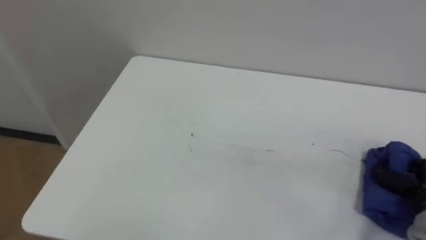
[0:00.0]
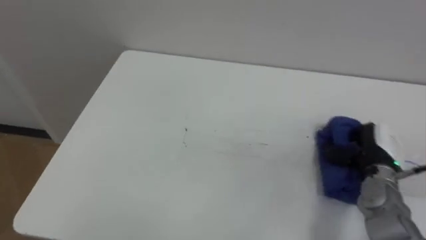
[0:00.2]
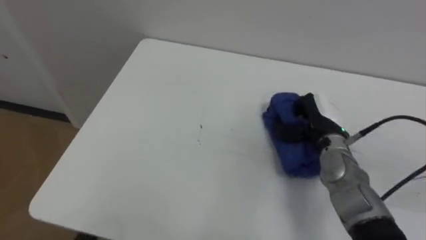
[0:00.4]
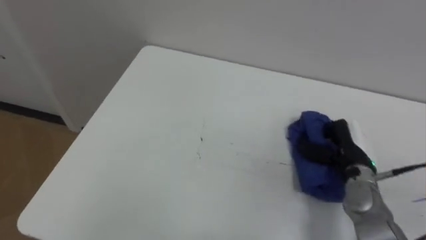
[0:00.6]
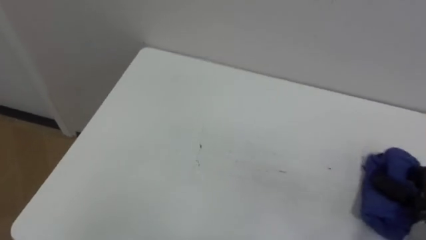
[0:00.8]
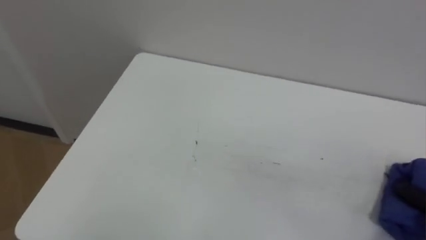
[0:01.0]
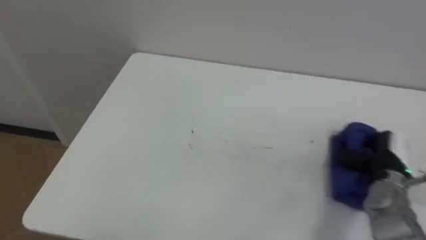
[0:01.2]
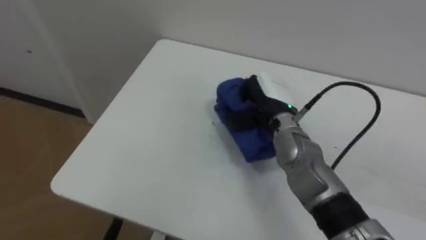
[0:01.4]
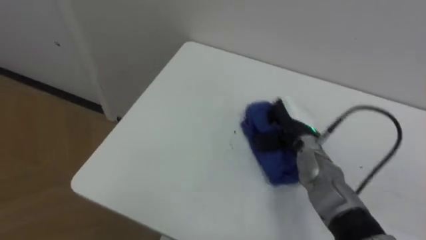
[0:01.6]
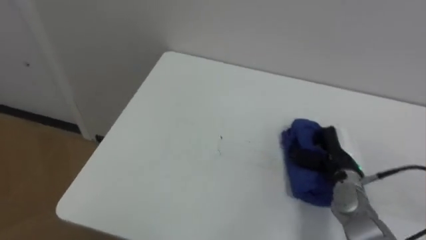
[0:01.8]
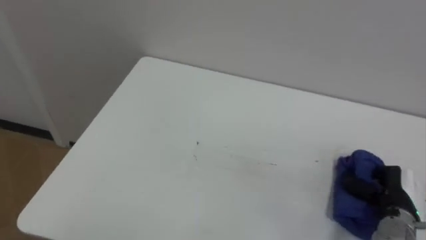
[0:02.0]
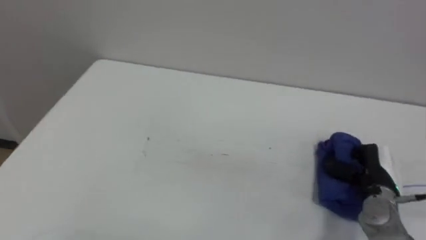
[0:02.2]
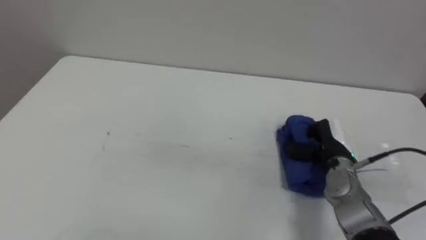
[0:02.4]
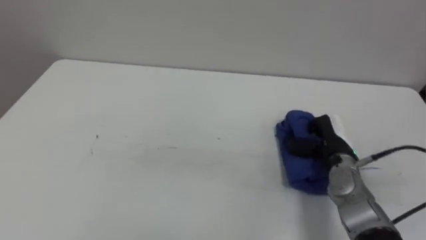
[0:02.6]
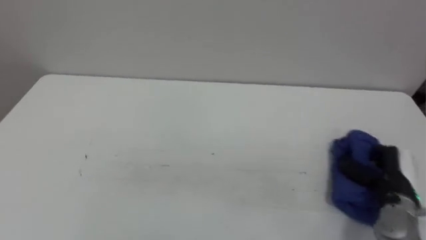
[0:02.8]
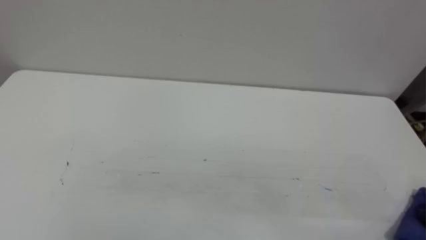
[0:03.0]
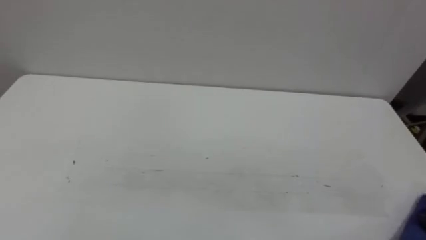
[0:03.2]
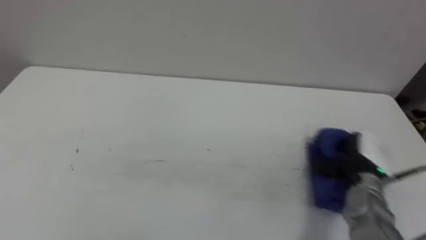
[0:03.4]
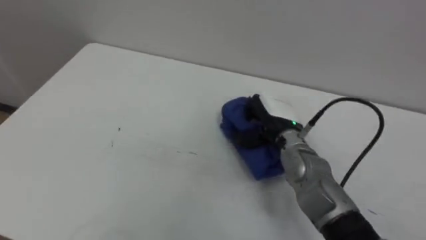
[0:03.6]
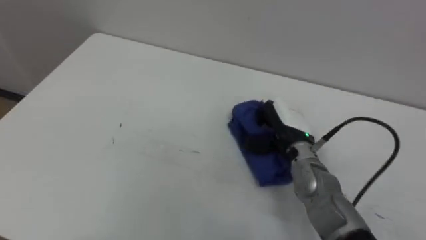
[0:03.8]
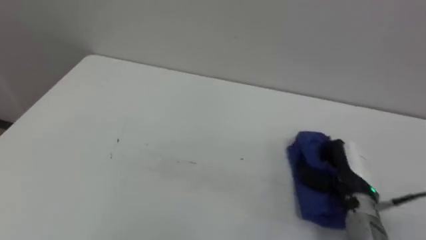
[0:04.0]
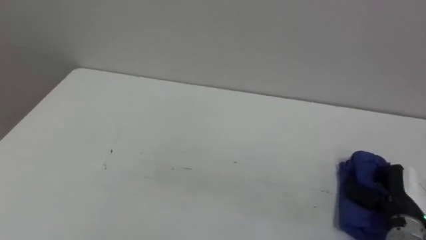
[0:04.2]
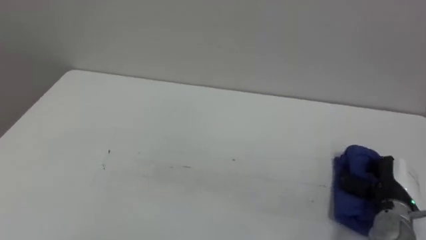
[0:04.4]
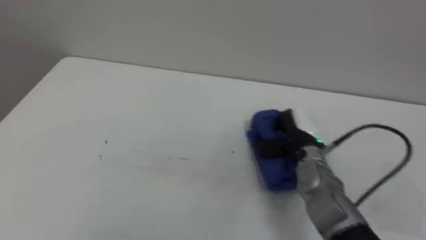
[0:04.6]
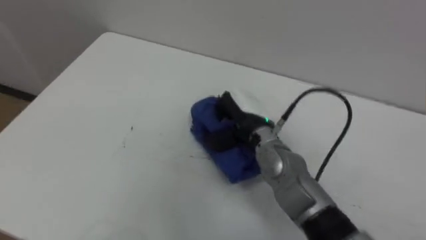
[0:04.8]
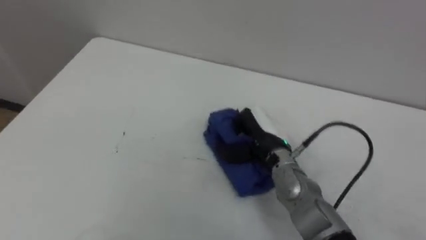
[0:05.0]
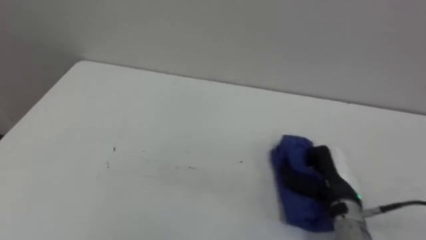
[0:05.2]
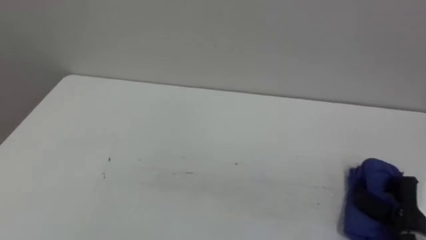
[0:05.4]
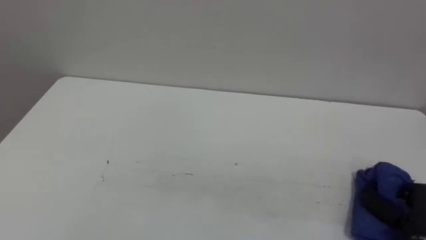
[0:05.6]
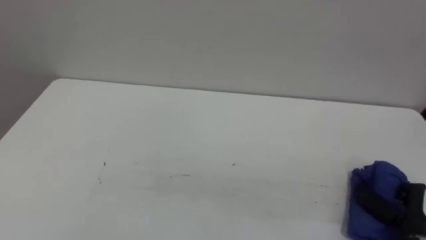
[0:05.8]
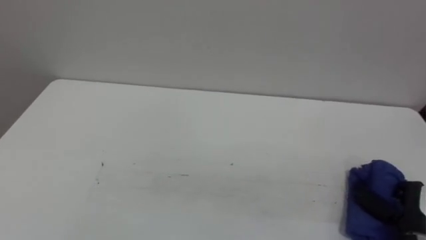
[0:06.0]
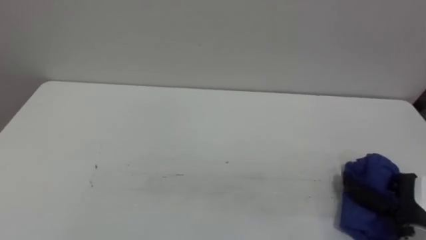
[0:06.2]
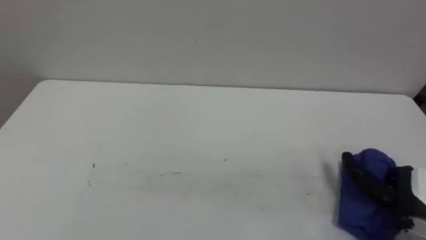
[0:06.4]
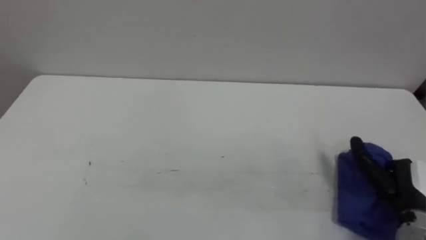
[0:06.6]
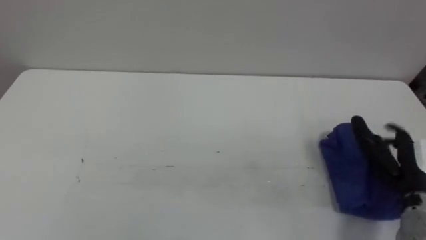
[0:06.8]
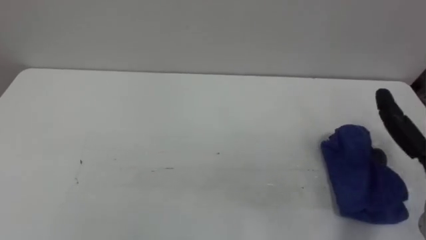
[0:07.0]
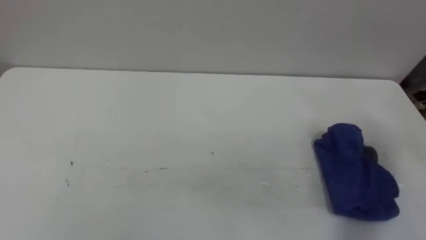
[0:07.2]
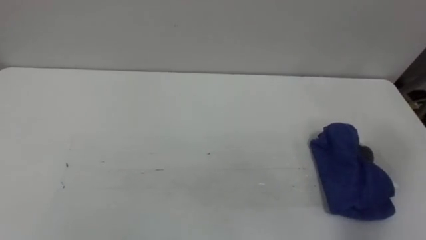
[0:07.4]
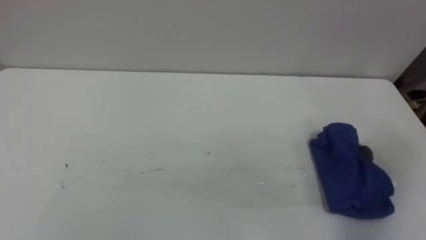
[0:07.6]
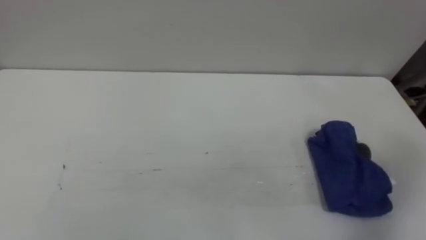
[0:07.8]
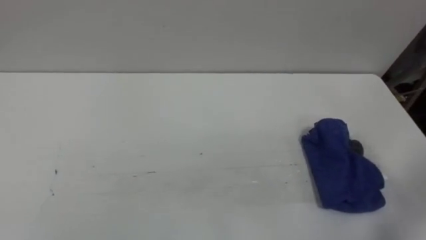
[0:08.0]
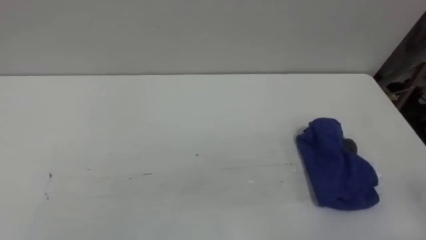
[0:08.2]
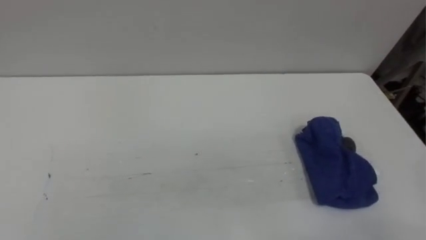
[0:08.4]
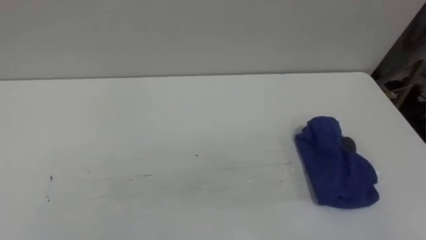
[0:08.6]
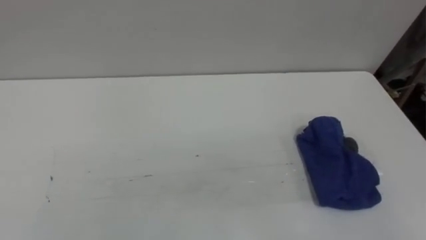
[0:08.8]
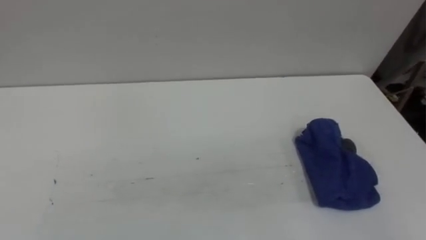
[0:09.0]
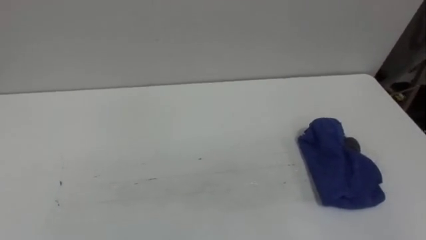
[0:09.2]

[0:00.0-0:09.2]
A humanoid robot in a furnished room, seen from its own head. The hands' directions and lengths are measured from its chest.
Task of the whole recording: Wipe the blue pen marks off the table with the rag.
0:04.6 to 0:06.2: The right hand shifts about 20 cm to the right and backward, and opens up.

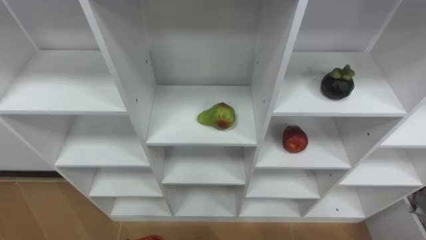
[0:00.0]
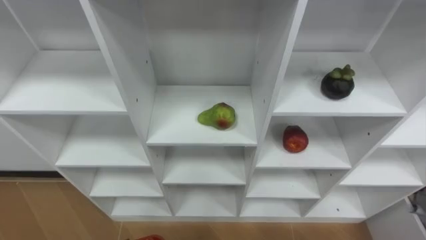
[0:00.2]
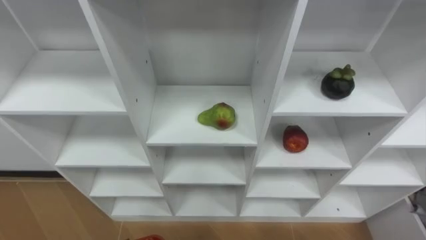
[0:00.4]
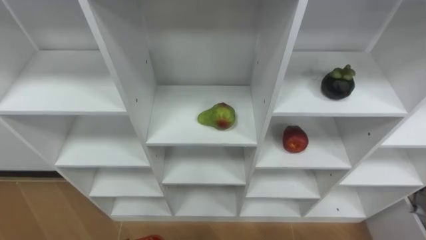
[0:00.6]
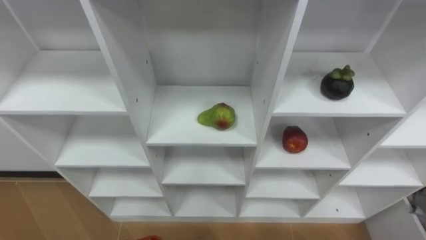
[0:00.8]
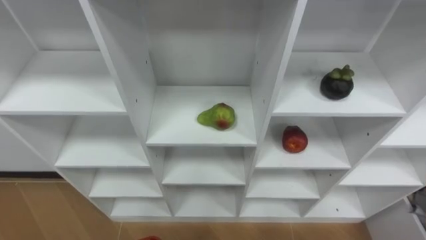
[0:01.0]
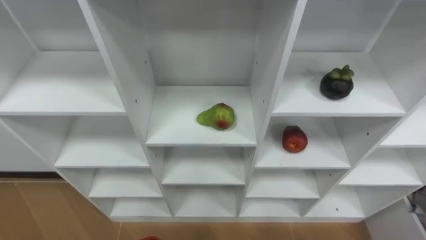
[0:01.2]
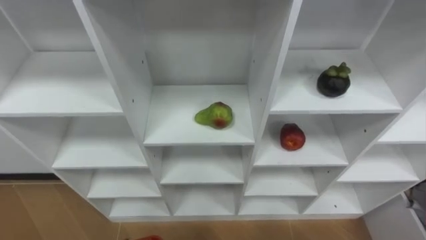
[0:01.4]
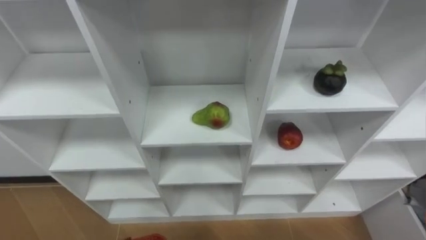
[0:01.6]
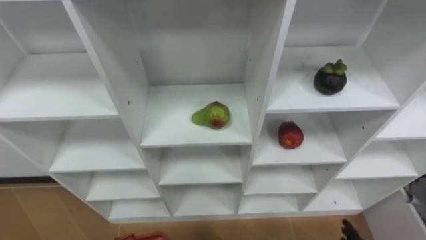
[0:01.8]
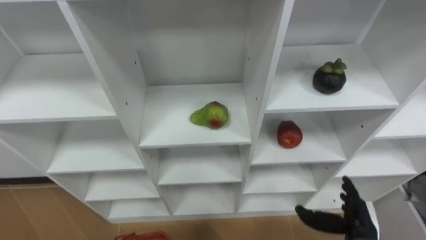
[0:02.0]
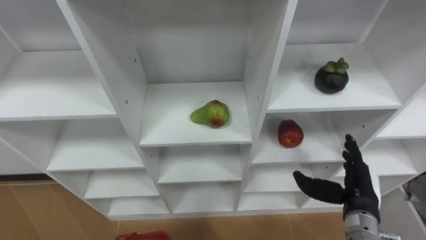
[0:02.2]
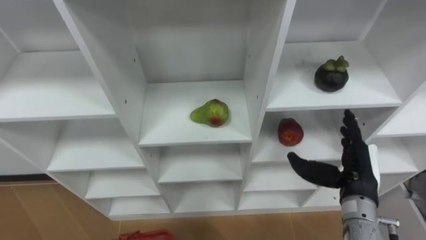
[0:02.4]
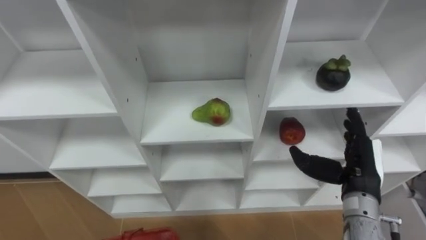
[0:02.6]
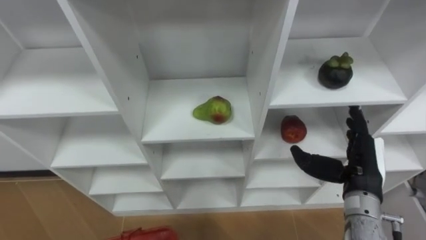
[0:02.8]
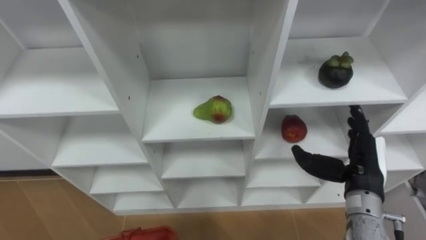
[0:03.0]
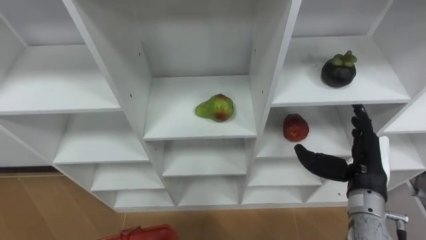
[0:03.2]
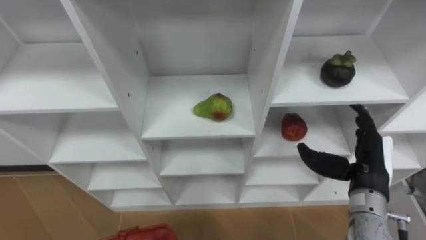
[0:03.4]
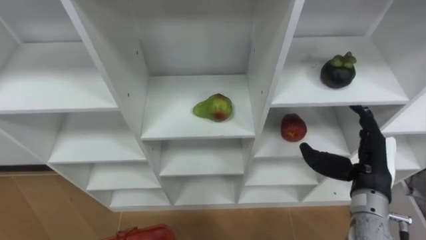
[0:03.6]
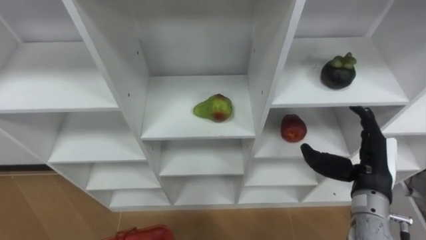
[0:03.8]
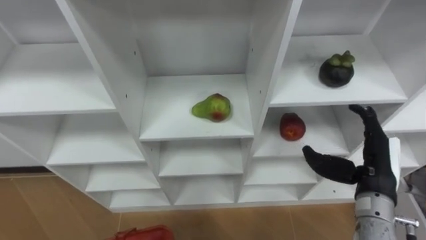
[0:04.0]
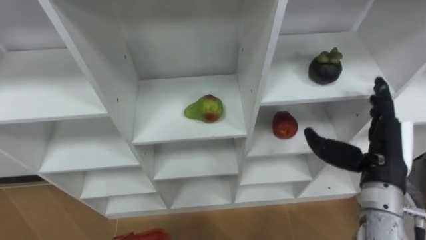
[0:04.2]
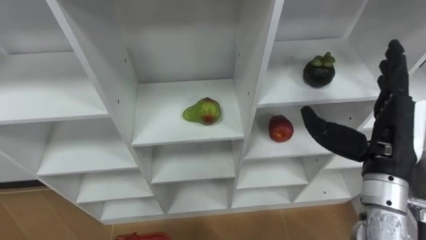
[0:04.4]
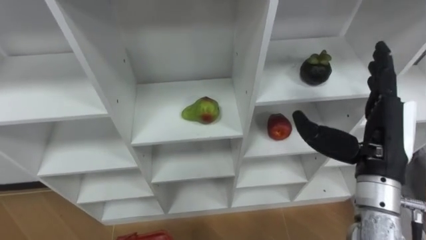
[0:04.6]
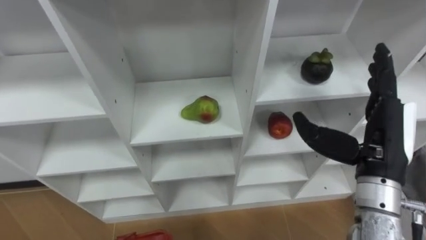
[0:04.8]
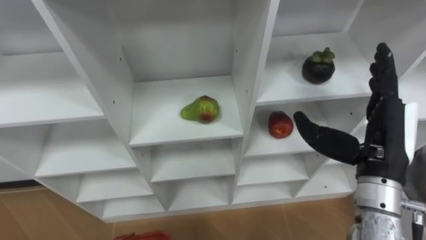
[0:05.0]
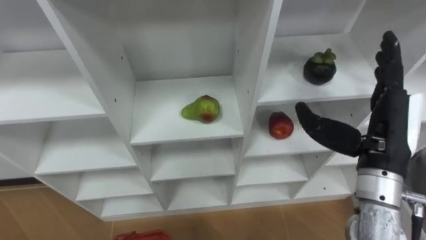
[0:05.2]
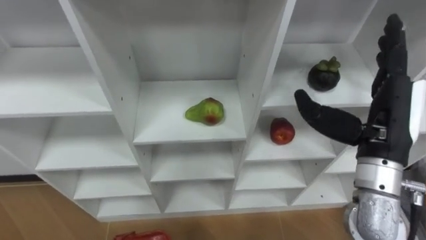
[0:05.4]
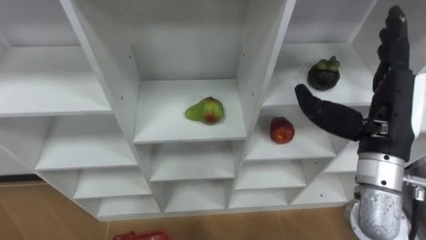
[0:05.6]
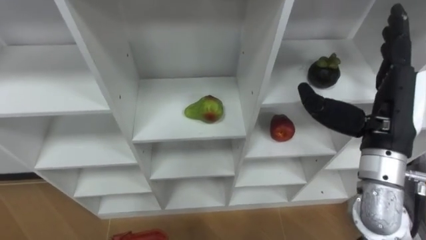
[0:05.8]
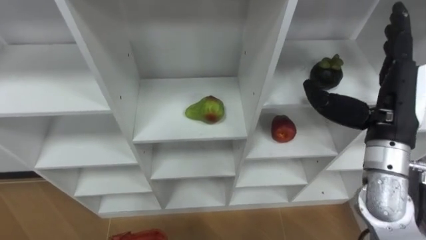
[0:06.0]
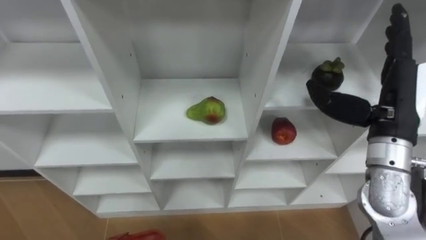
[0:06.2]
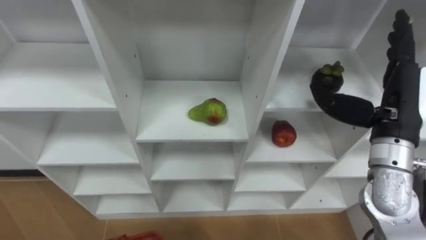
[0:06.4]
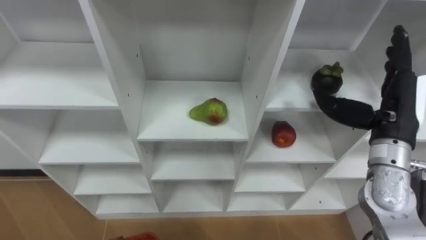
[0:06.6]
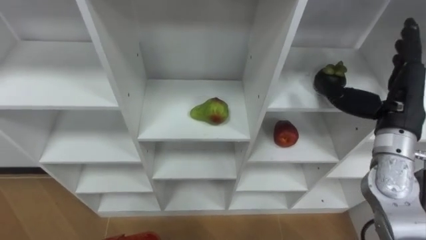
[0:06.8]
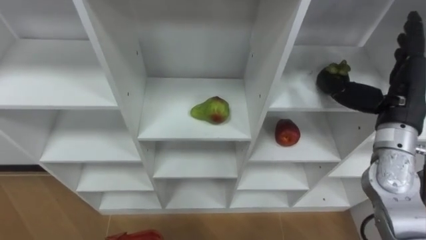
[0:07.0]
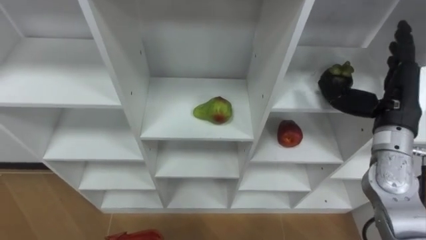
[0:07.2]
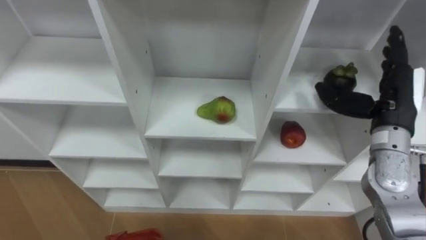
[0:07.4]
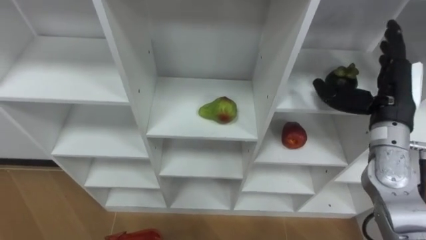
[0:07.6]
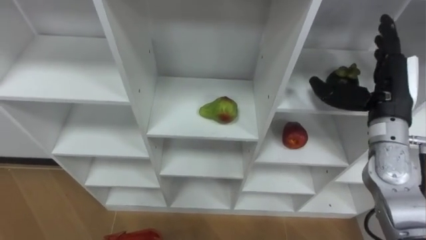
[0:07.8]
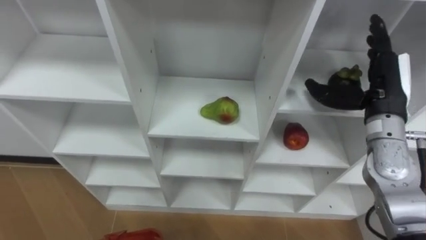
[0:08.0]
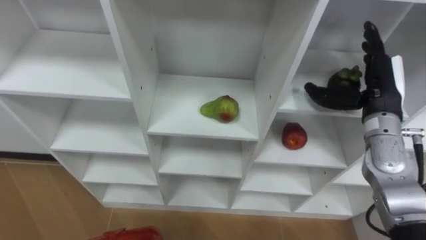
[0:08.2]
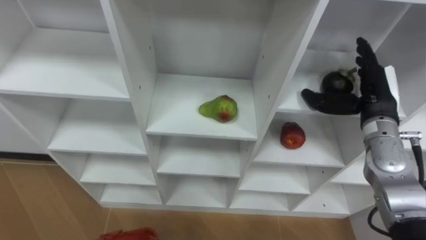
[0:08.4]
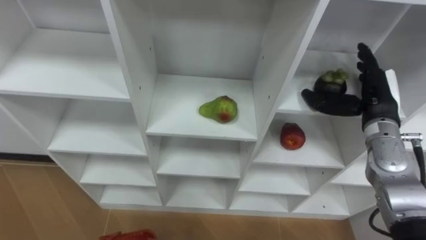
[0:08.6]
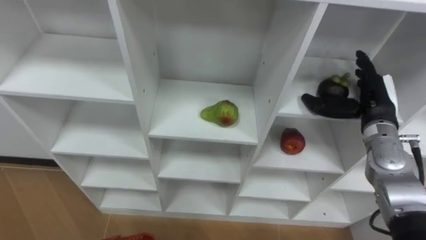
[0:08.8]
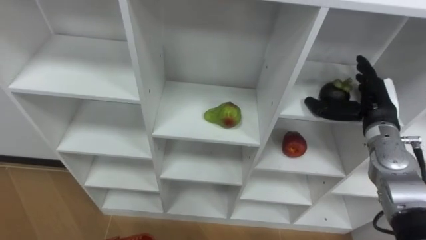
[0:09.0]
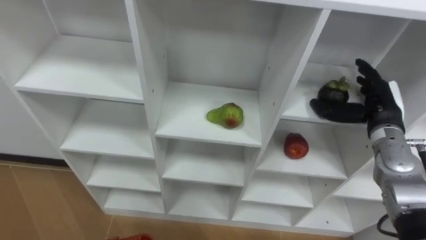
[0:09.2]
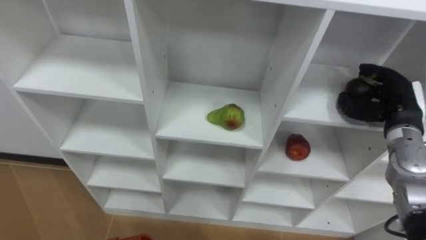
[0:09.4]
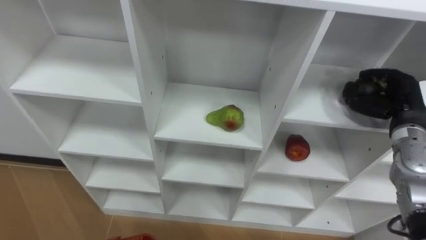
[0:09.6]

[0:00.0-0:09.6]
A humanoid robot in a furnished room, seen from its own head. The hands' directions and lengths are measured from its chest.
Task of the whole recording: Hold the basket and collect the fruits from 3 different cells of the closet into it.
0:03.2 to 0:04.8: The right hand goes approximately 10 cm upward.
0:04.8 to 0:06.4: The right hand moves about 5 cm.
0:06.4 to 0:08.0: The right hand shifts some 5 cm forward.
0:08.0 to 0:09.6: The right hand travels downward and to the right by some 10 cm, and closes.
